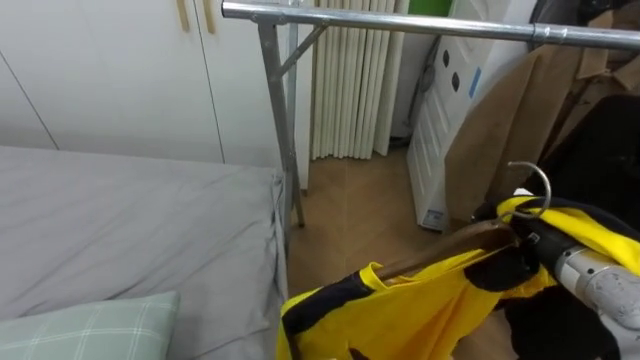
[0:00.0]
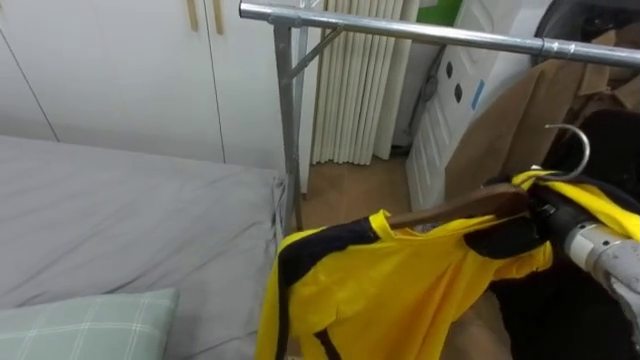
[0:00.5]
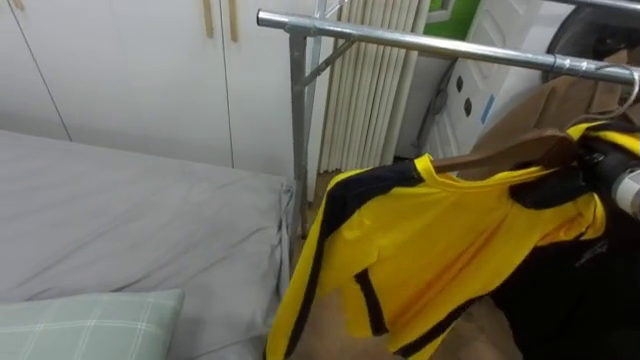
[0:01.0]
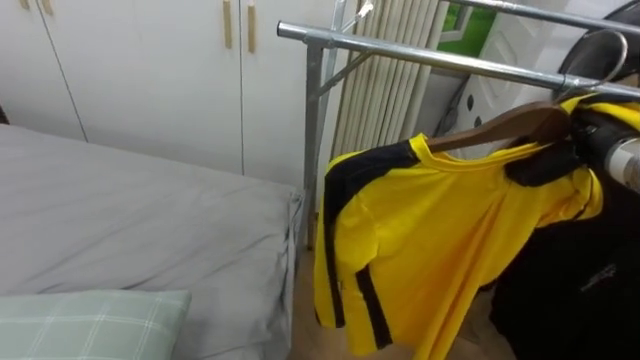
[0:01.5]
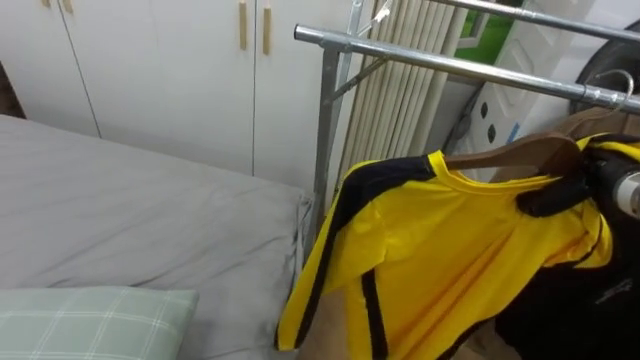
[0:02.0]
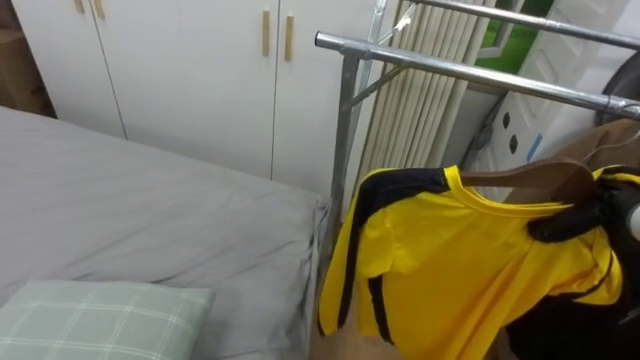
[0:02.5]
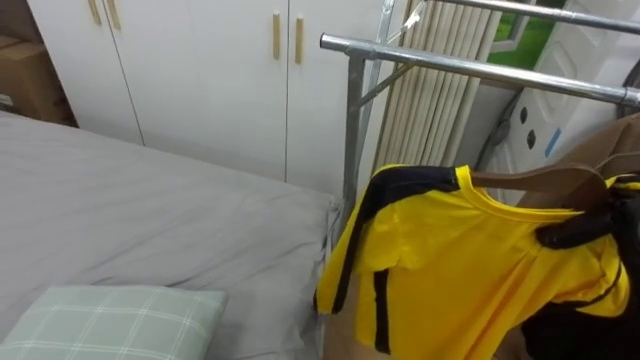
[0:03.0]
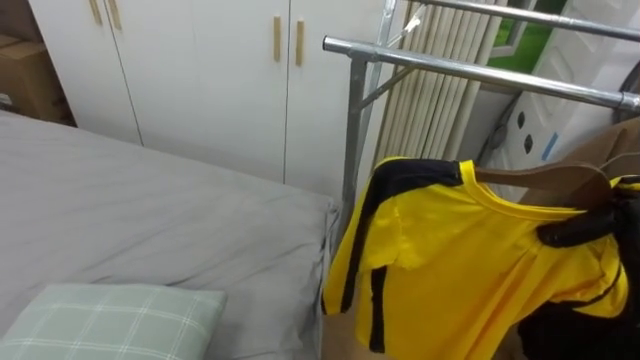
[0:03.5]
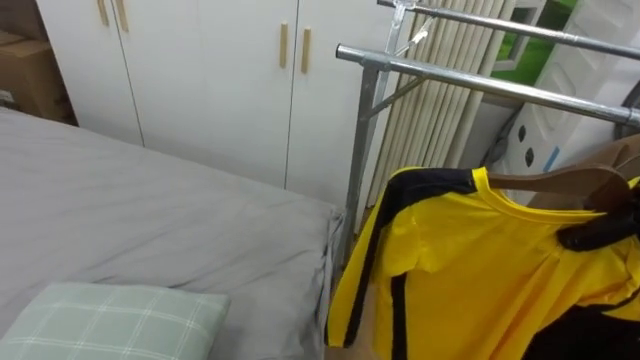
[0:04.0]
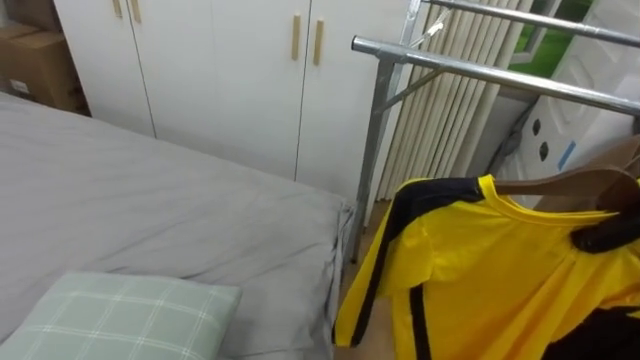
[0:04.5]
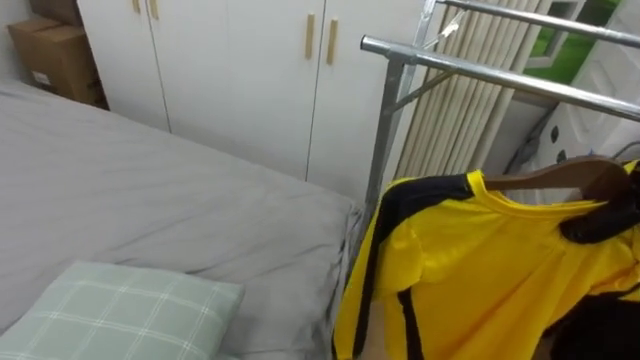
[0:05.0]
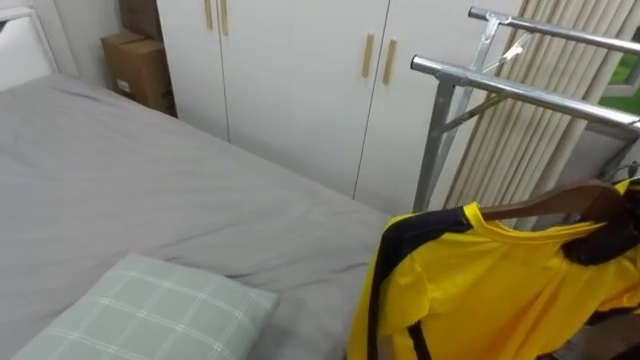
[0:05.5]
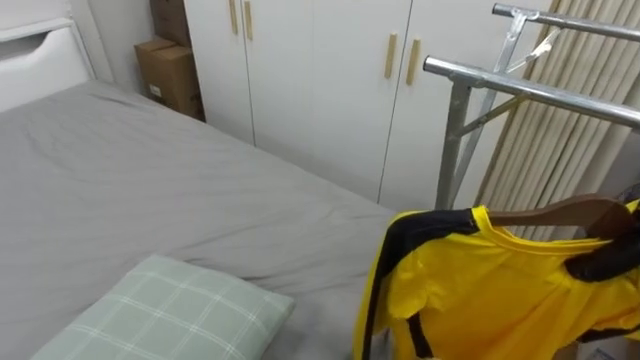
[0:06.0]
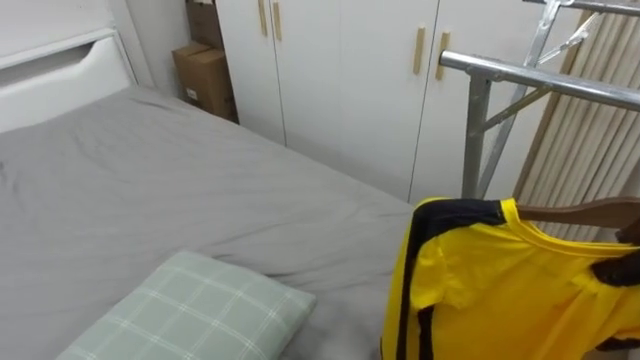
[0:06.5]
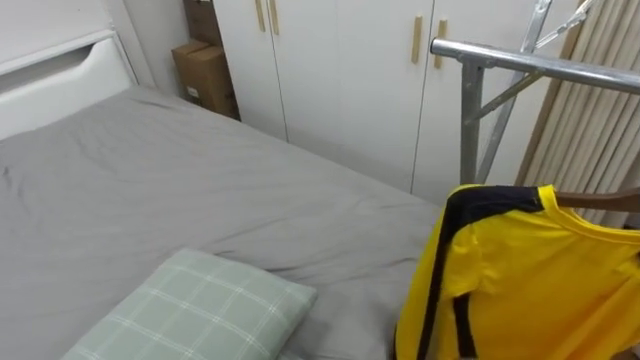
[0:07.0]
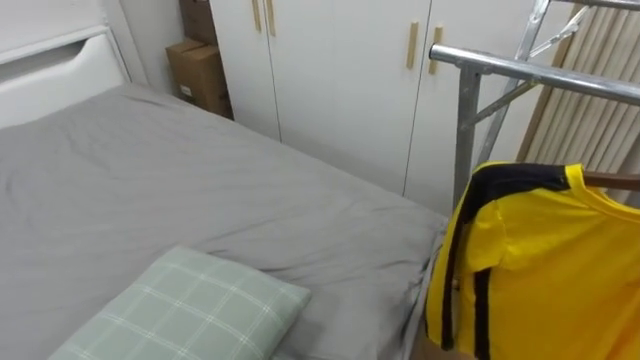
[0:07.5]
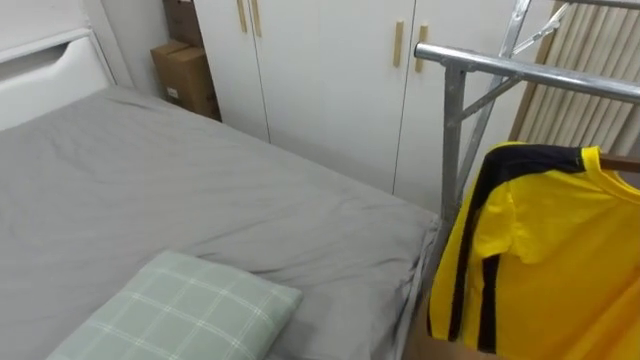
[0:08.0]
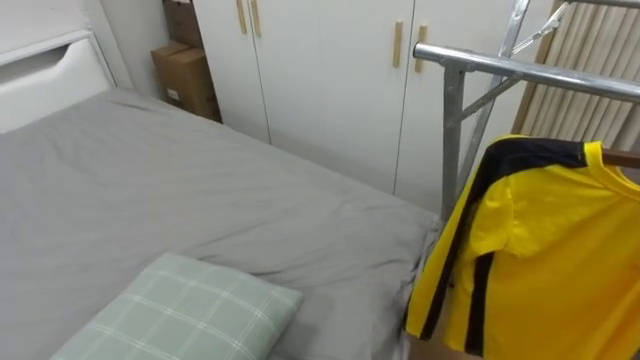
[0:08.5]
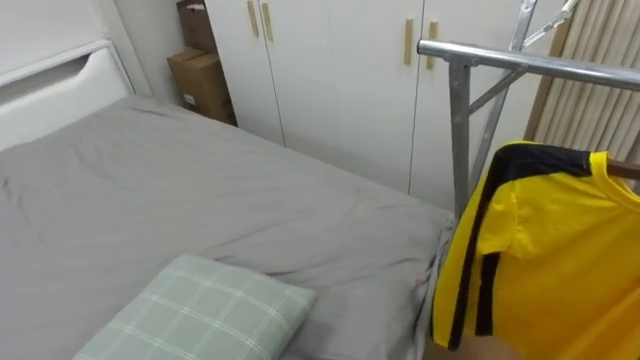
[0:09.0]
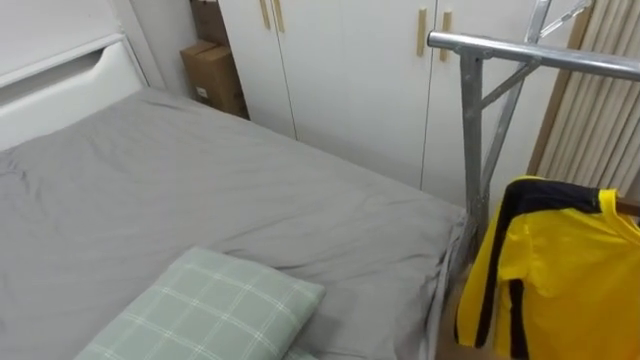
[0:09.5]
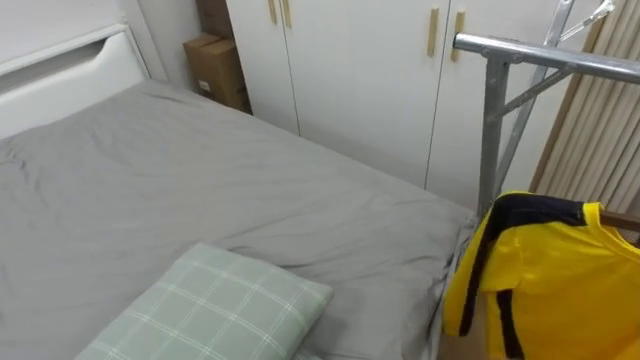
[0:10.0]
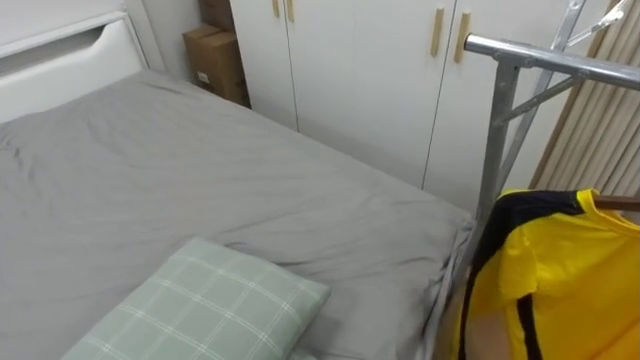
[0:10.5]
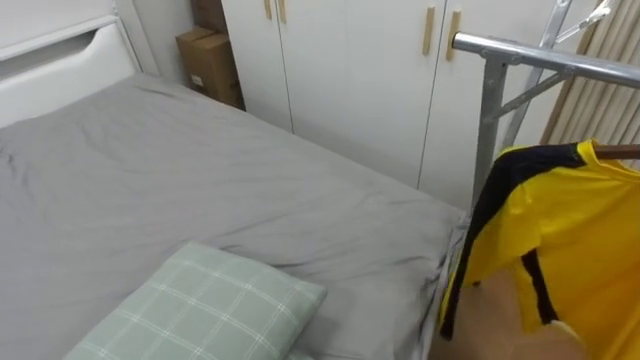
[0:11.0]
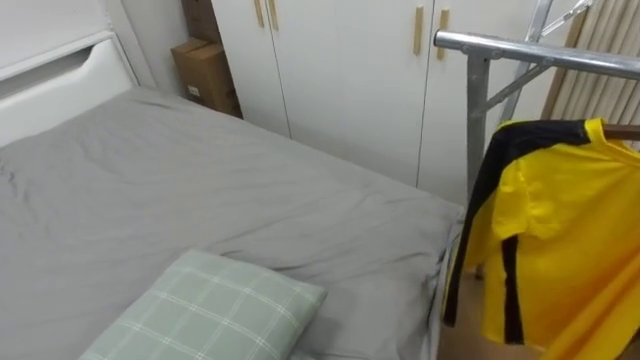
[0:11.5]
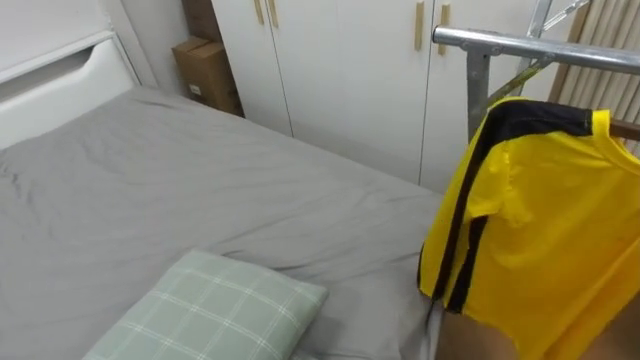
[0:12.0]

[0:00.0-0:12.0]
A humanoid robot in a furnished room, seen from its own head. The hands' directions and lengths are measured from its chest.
Task of the whole recording: Pick up the yellow shirt on the bed and hang it on the clothes rack on the right.
0:00.0 to 0:02.0: The right hand is displaced to the right and forward by about 10 cm.
0:02.0 to 0:04.0: The right hand is displaced to the right by some 5 cm.
0:04.0 to 0:06.0: The robot faces roughly 20 degrees further to its left.

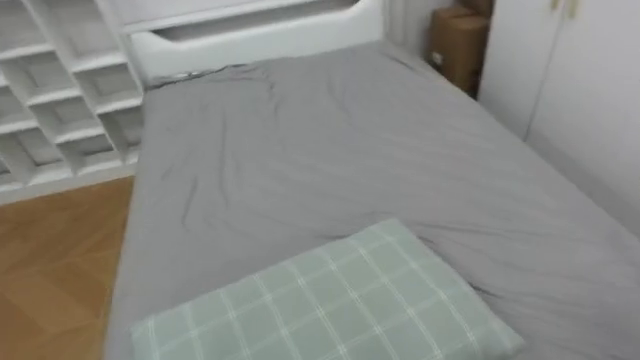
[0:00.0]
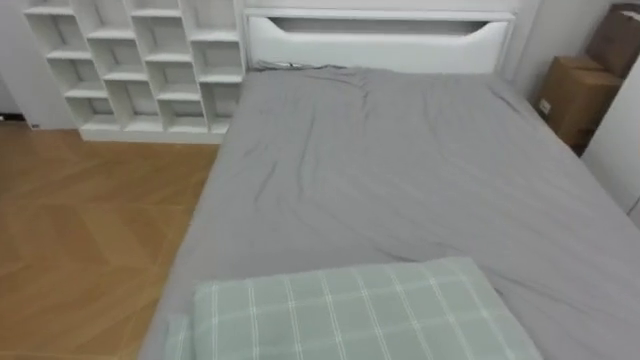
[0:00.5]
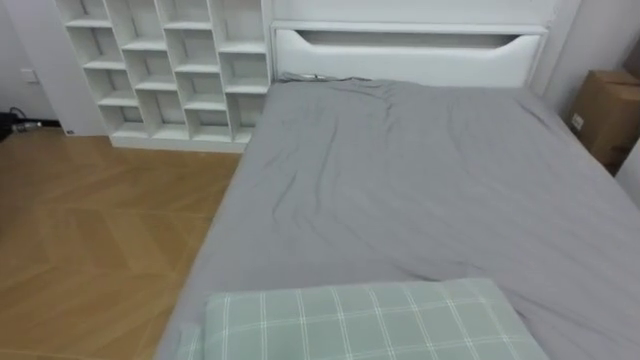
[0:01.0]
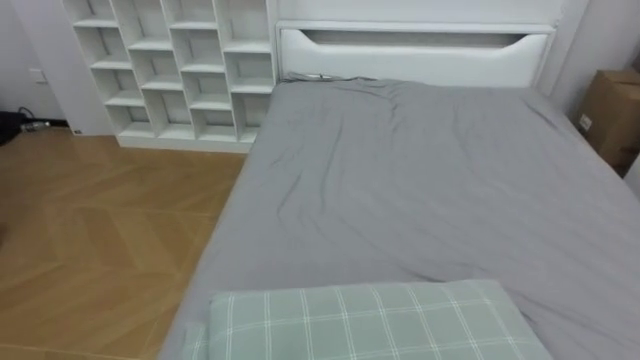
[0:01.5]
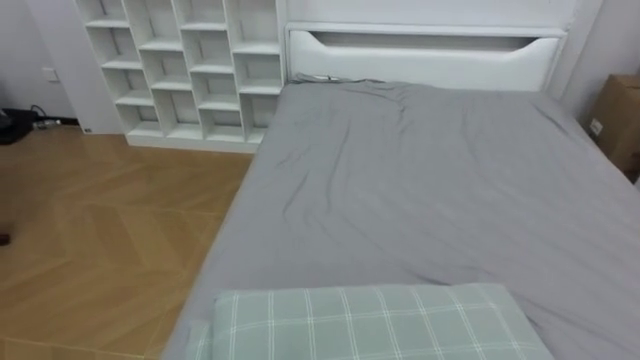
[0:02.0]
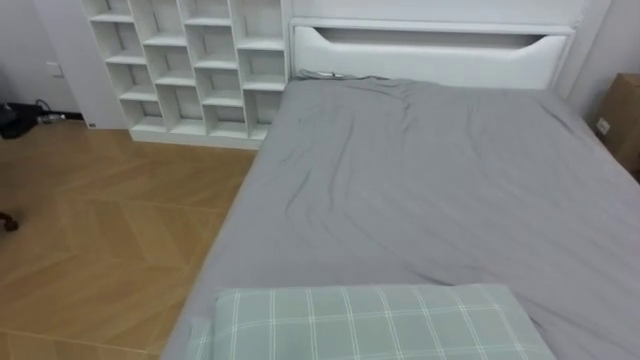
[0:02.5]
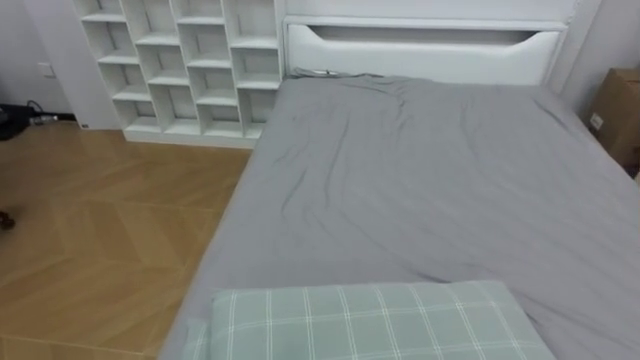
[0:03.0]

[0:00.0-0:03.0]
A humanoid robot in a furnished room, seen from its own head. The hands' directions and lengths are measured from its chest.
Task of the whole recording: Pick up the yellow shirt on the bed and hang it on the clothes rack on the right.
0:00.0 to 0:01.5: The robot turns to its left by roughly 25 degrees.

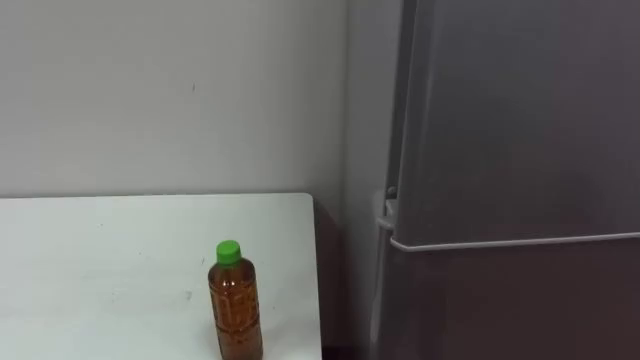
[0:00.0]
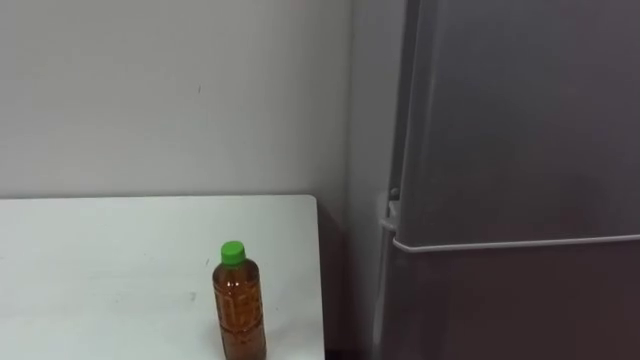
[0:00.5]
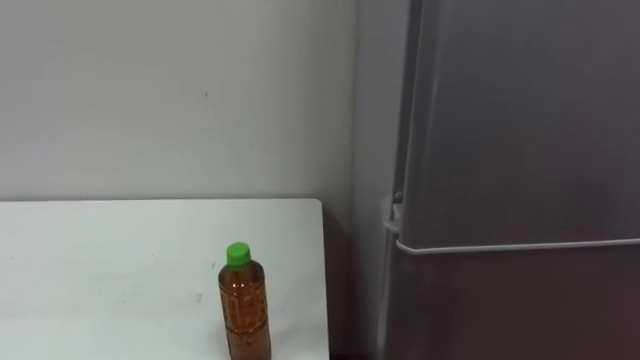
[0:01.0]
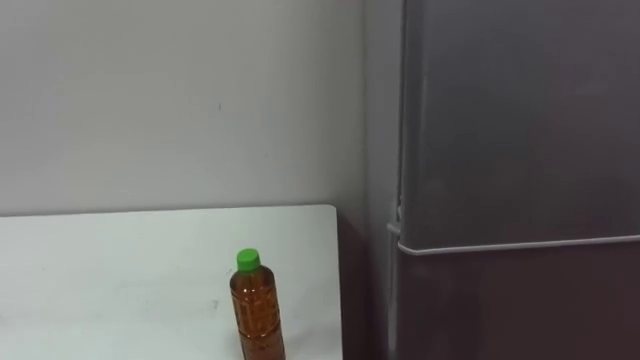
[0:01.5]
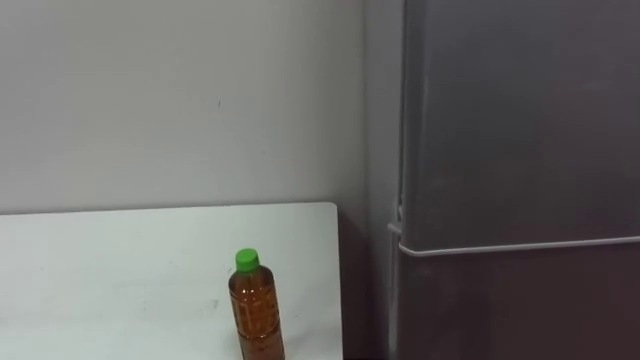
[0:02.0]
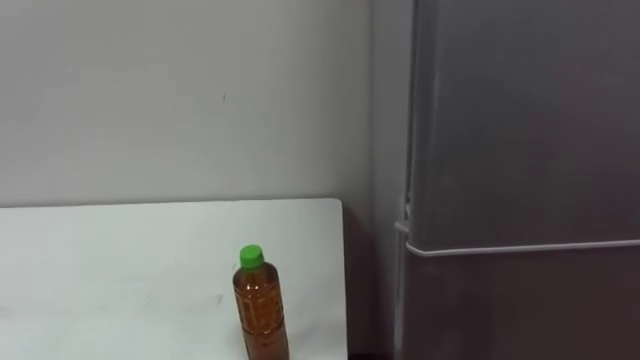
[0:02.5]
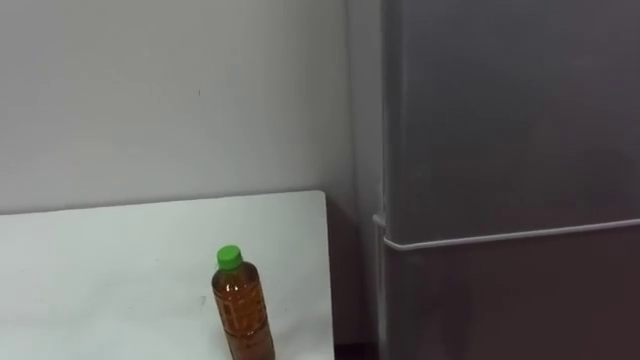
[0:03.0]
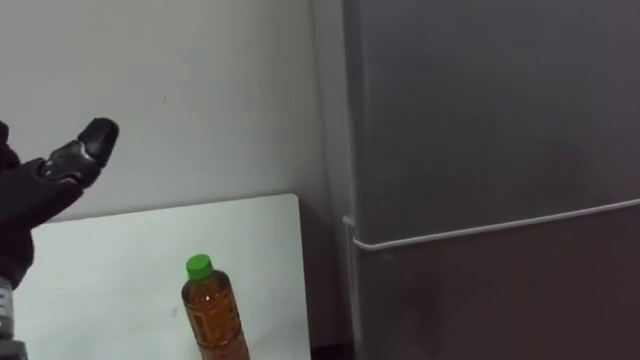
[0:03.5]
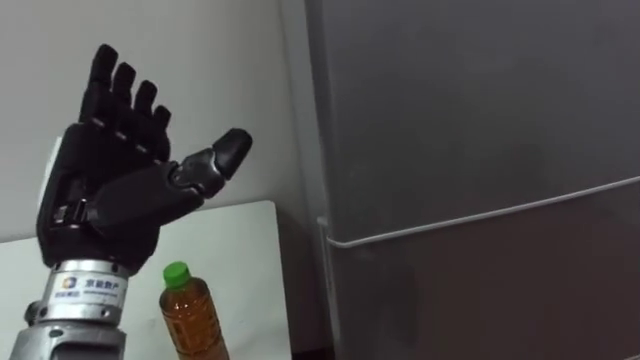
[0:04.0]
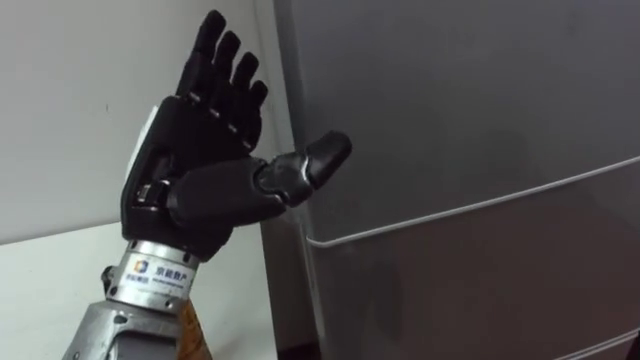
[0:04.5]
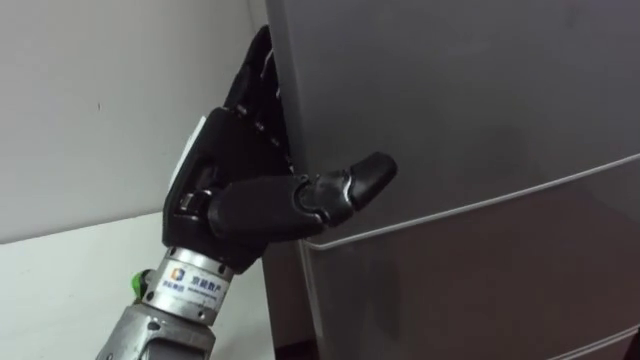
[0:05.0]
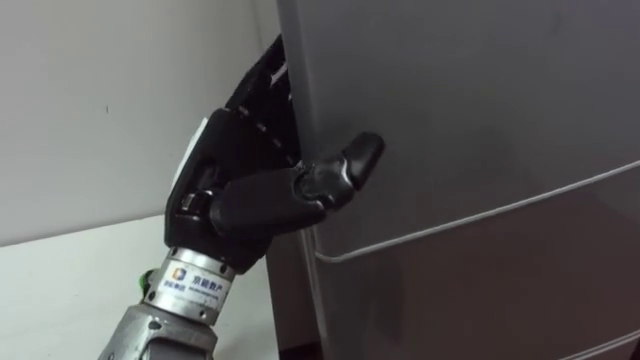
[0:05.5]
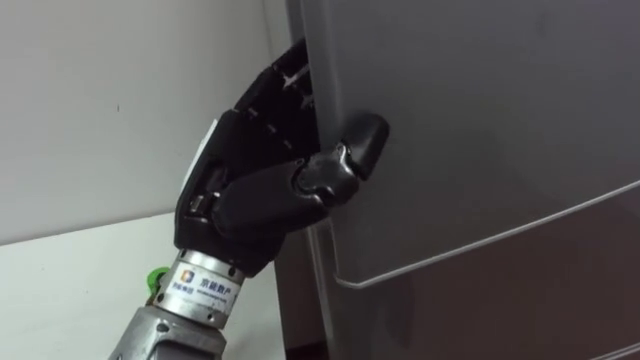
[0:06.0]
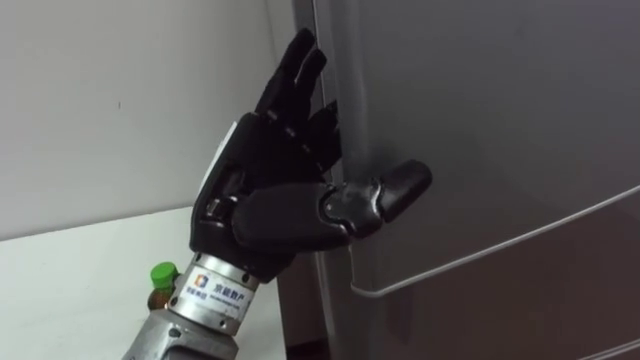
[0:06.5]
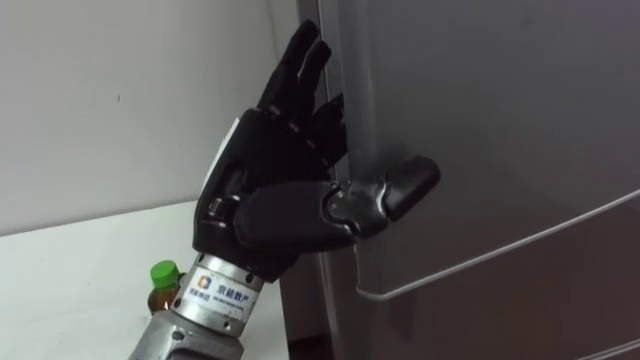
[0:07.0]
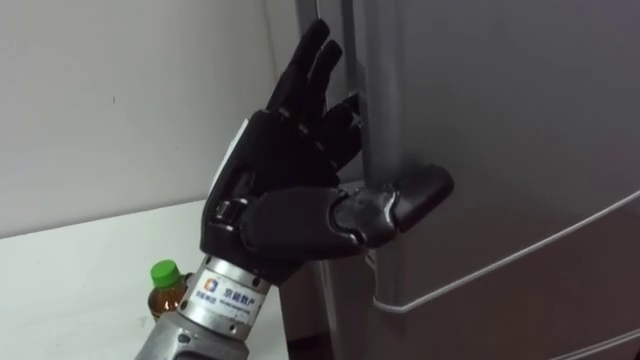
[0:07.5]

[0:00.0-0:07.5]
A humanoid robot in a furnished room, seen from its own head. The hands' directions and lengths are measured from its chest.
Task of the whole recording: Open the upper refrigerator door, put the drink from the table into the refrigerator, and then close the refrigerator door.
0:04.0 to 0:05.5: The left hand is displaced to the right by about 10 cm.
